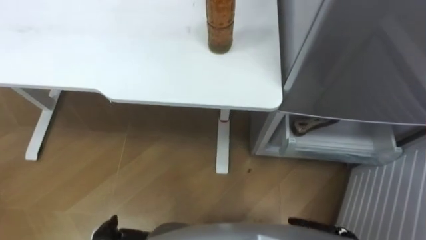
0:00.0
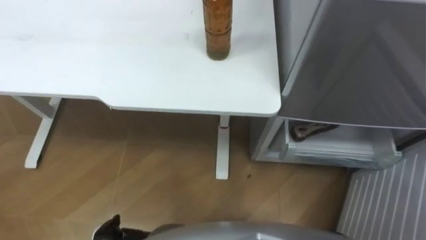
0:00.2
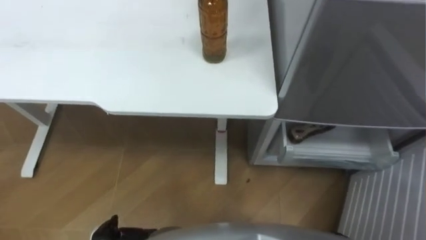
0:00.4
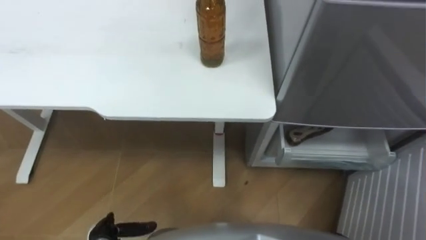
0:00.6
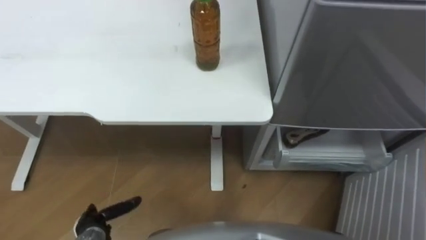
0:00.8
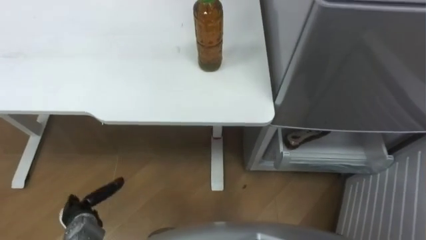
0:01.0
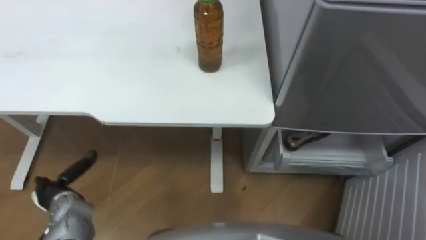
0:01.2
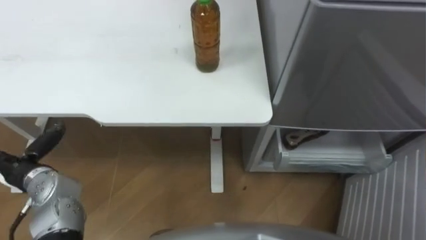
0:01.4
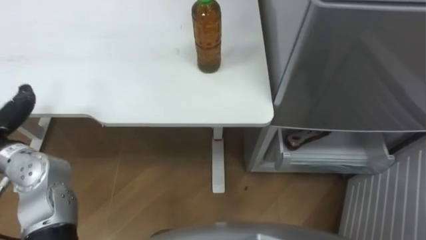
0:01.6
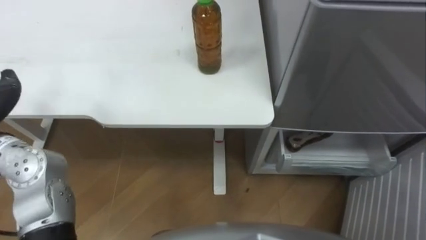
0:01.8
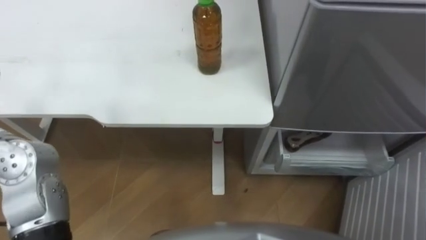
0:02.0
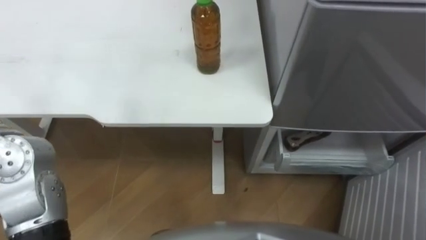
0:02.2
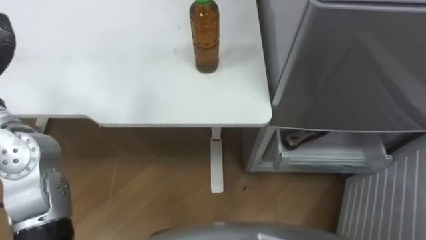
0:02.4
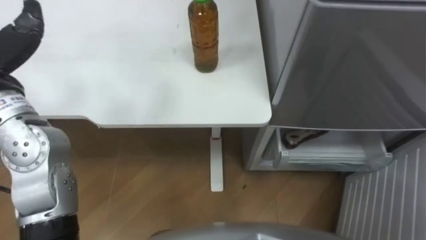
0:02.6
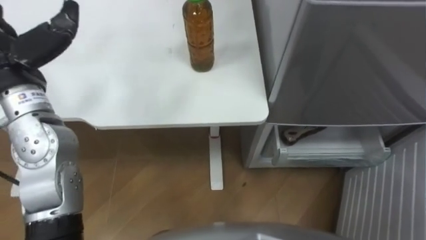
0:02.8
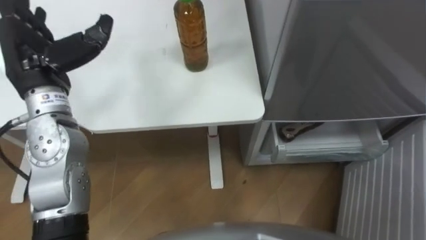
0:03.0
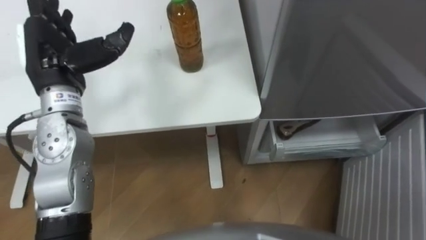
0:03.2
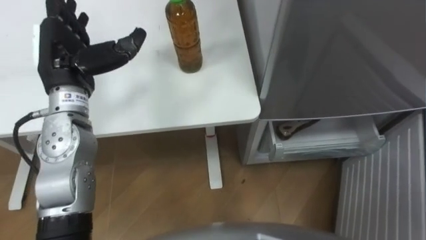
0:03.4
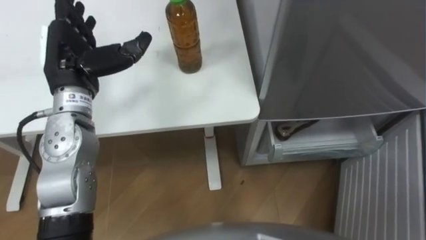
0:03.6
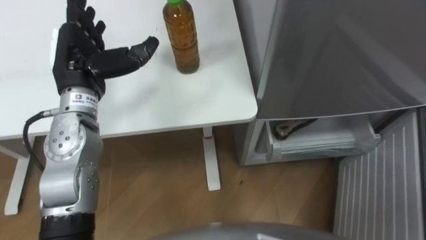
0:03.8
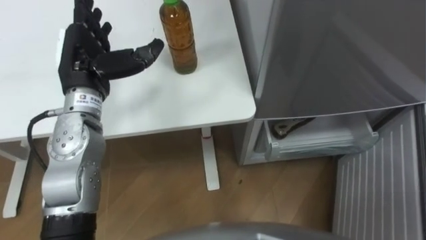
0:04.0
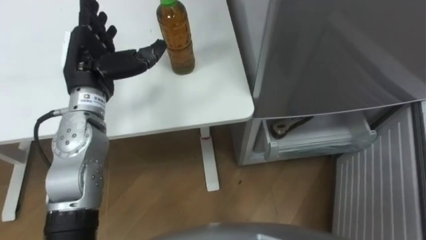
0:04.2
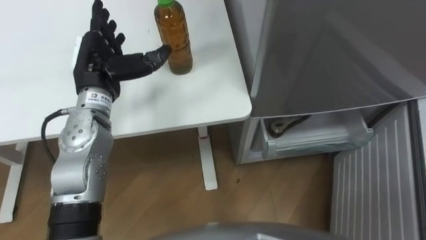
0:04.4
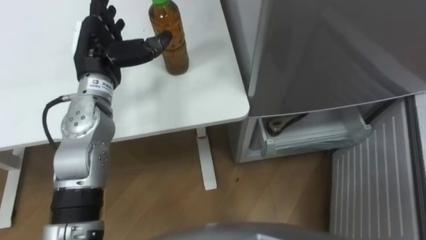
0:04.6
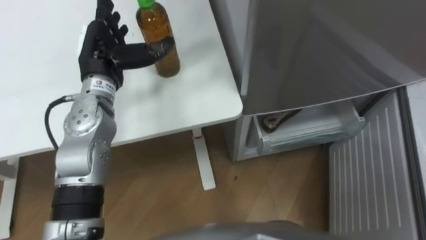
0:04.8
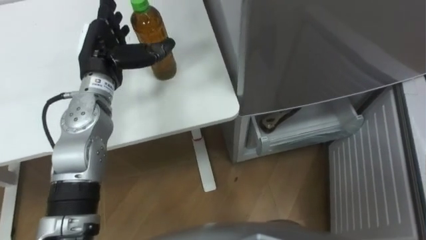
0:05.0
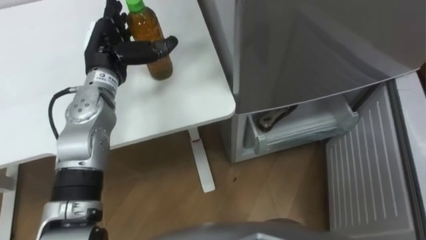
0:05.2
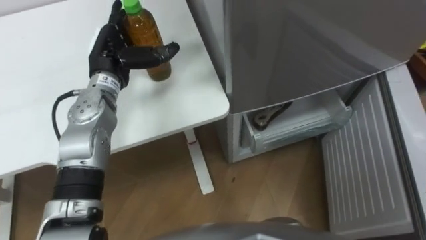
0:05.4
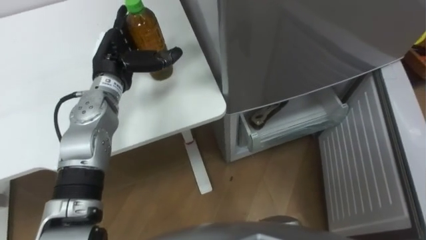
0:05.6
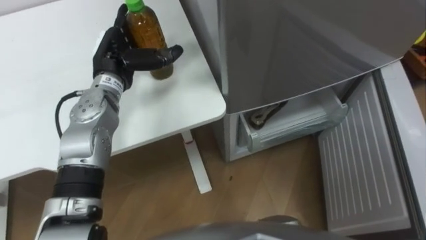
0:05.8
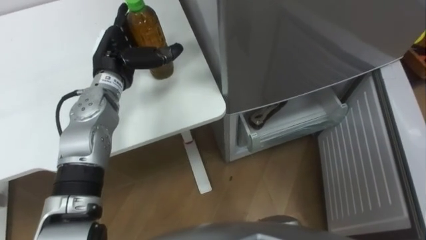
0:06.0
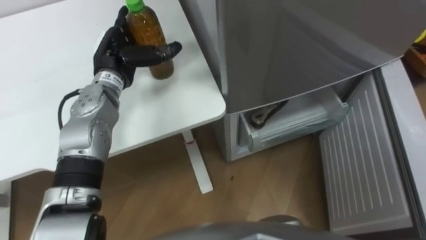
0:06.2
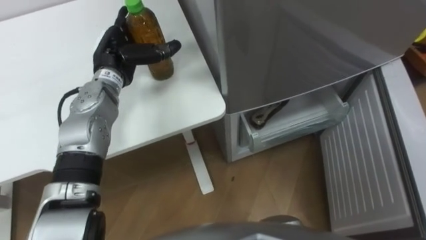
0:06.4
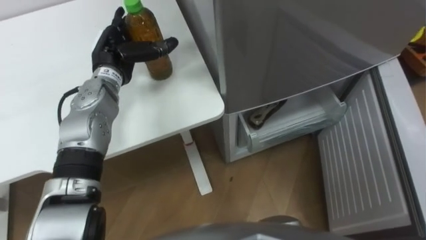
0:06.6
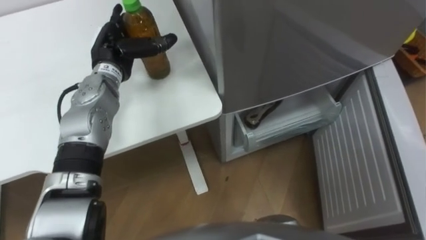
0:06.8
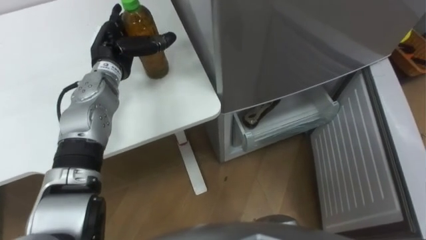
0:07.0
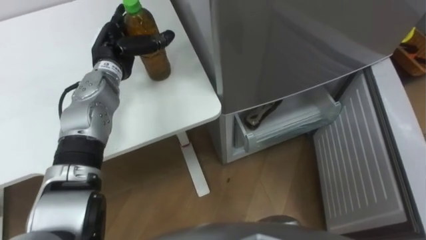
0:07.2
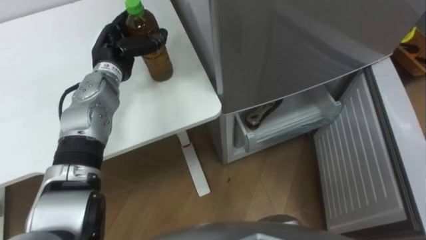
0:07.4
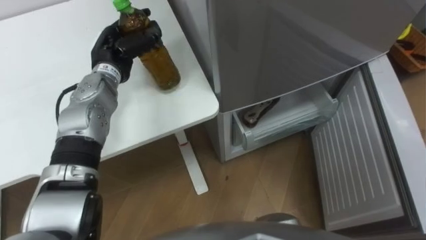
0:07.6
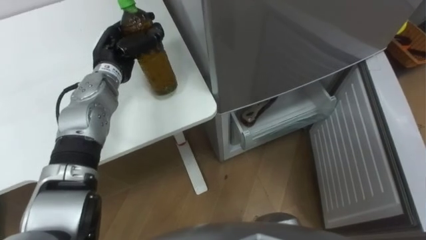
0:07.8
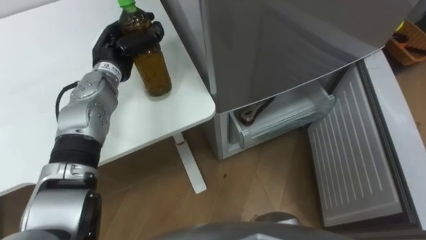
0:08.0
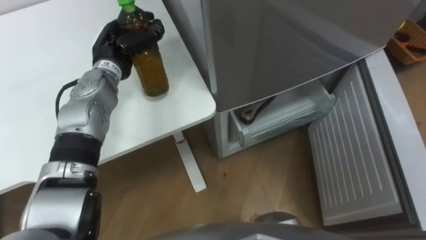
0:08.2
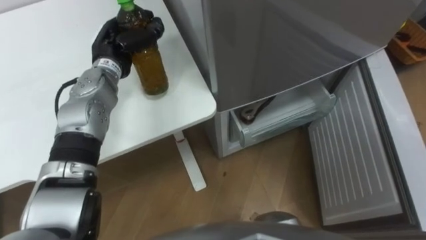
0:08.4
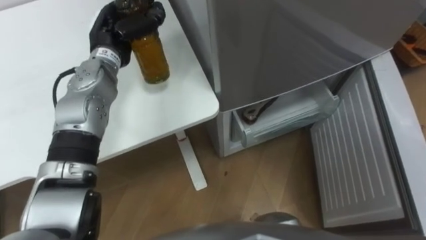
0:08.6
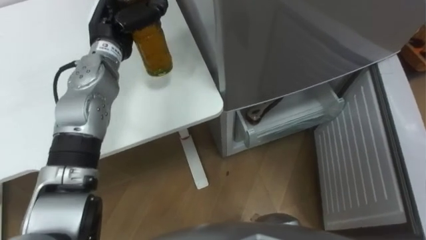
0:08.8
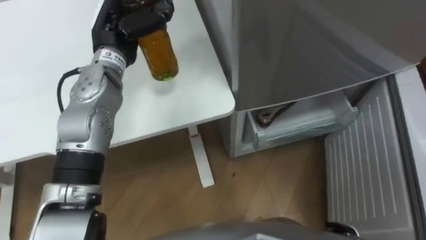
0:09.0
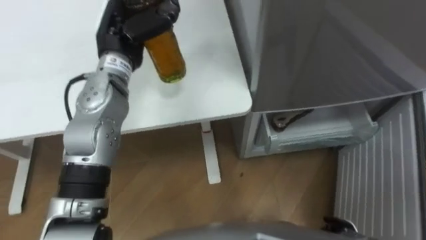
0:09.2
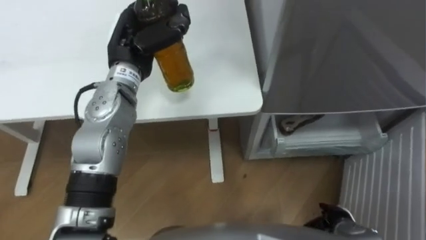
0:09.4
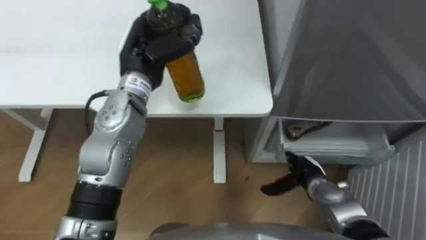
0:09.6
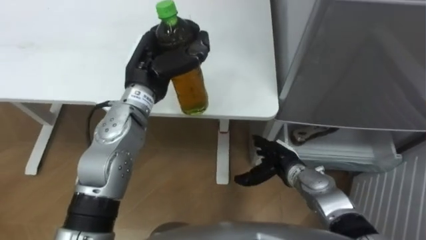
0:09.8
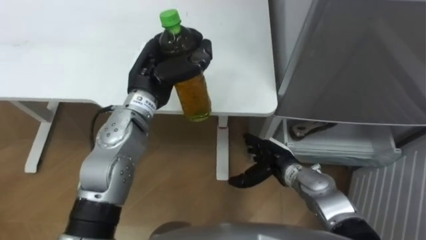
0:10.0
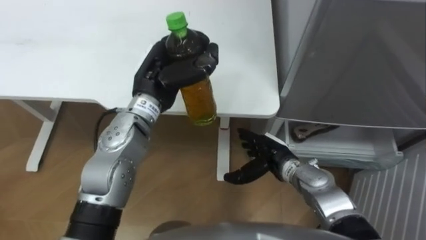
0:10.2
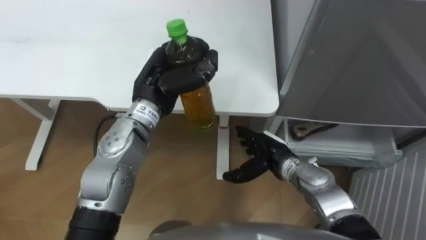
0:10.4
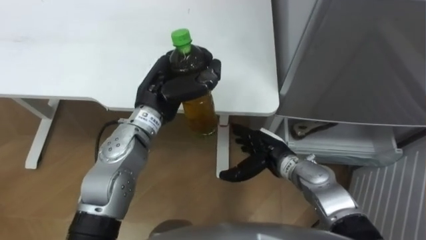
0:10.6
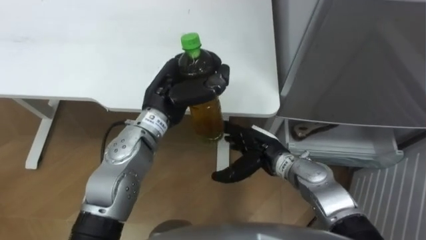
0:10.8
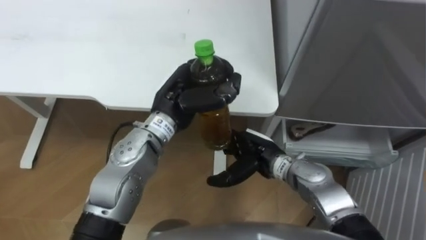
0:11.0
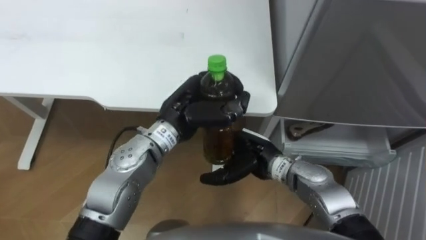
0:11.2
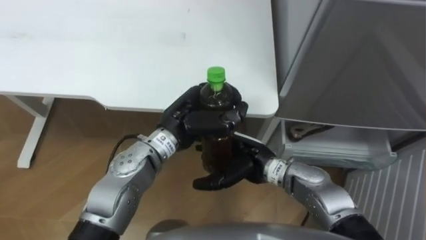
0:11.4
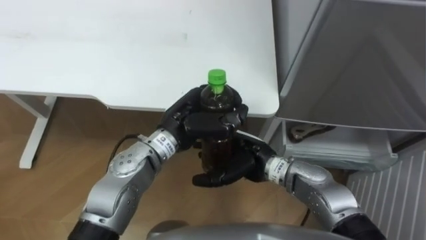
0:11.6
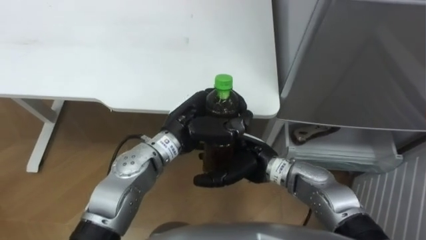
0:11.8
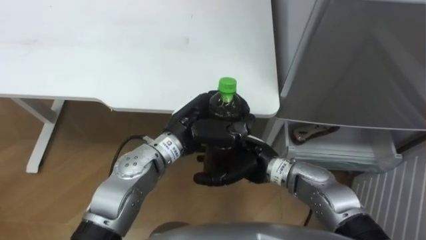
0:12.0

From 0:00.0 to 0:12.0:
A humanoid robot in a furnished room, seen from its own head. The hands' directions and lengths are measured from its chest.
Task of the whole recording: Place the drink on the table on the bottom shelf of the refrigerator, then close the drawer and the refrigerator door.
From 0:03.0 to 0:04.4: The left hand travels to the right and downward by about 10 cm.
From 0:04.4 to 0:06.0: The left hand moves roughly 5 cm.
From 0:06.0 to 0:07.6: The left hand closes its fingers.
From 0:07.6 to 0:09.0: The left hand heads upward, covering roughly 5 cm.
From 0:09.0 to 0:10.4: The left hand heads backward and to the right, covering approximately 10 cm.
From 0:10.4 to 0:12.0: The right hand travels to the left and upward by approximately 10 cm. The left hand travels to the right and backward by approximately 10 cm.

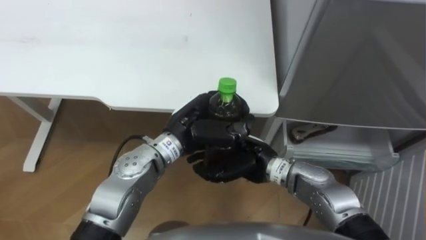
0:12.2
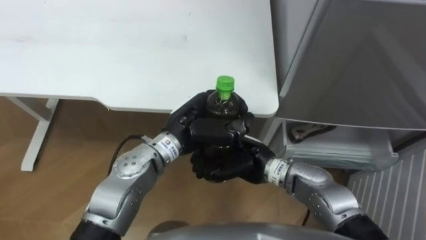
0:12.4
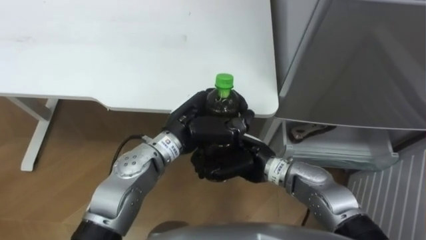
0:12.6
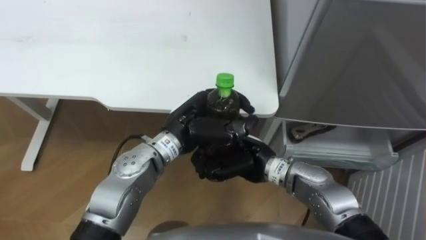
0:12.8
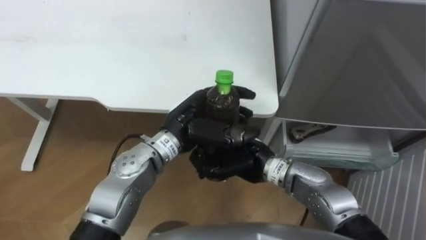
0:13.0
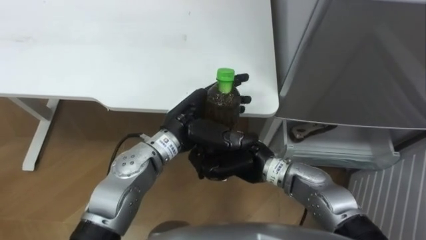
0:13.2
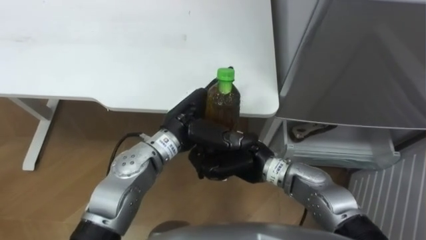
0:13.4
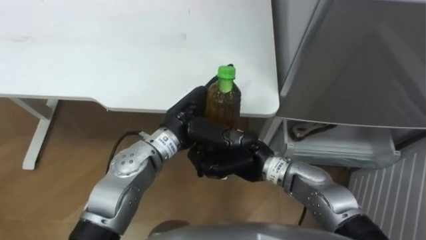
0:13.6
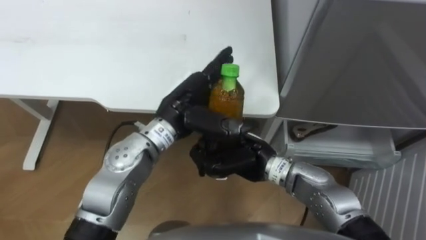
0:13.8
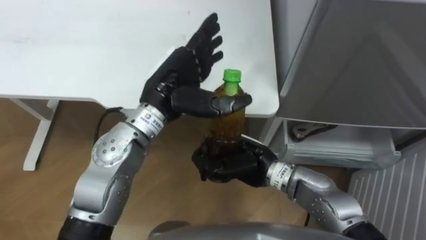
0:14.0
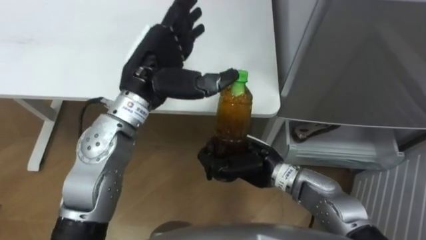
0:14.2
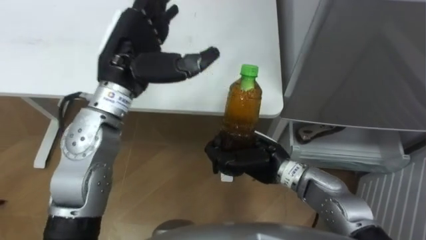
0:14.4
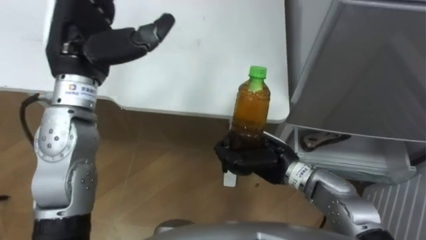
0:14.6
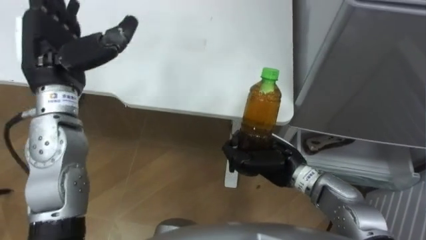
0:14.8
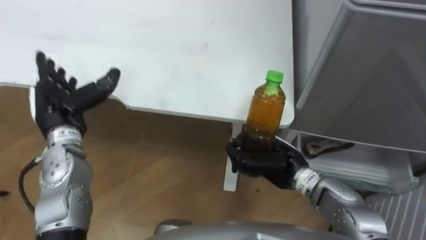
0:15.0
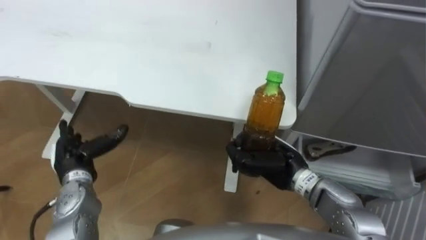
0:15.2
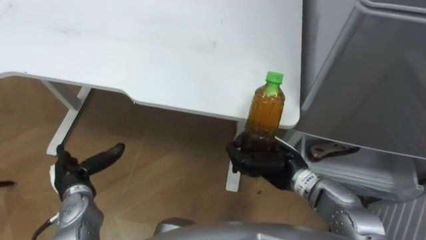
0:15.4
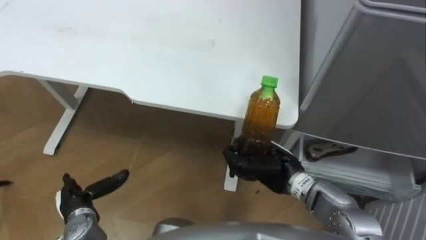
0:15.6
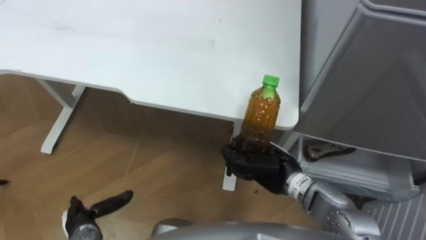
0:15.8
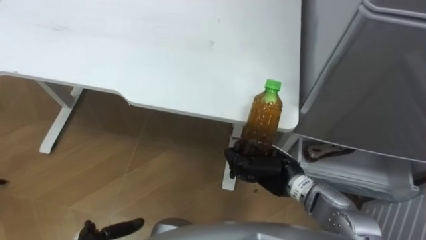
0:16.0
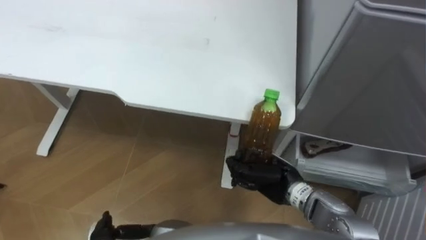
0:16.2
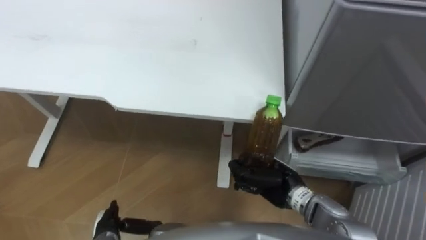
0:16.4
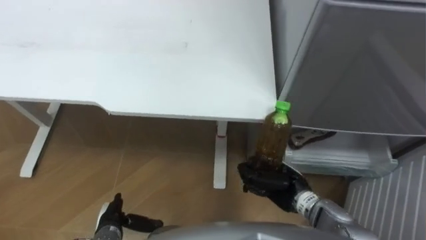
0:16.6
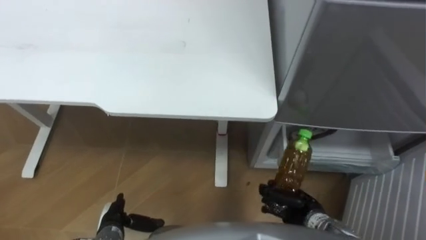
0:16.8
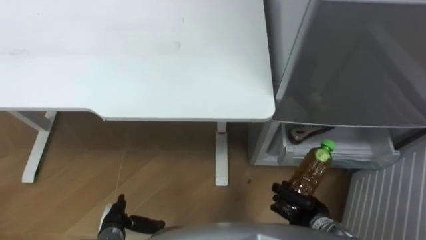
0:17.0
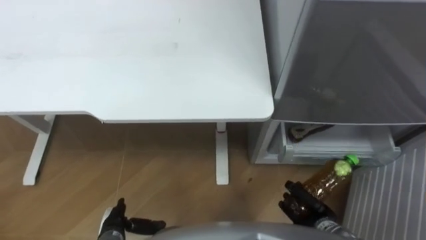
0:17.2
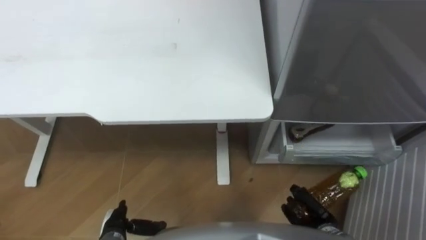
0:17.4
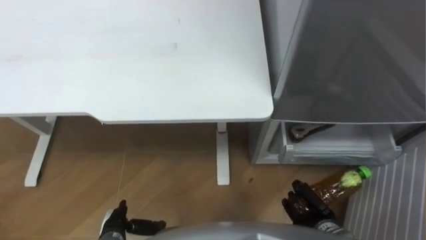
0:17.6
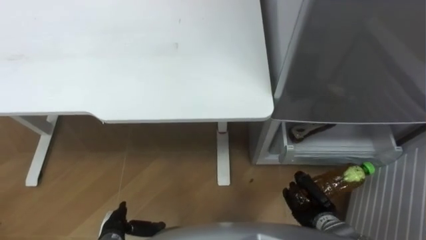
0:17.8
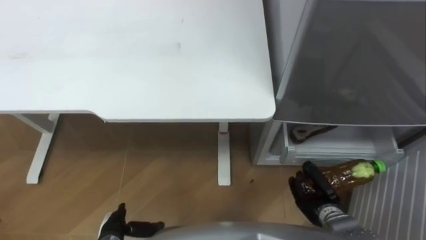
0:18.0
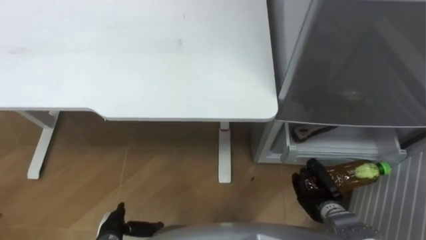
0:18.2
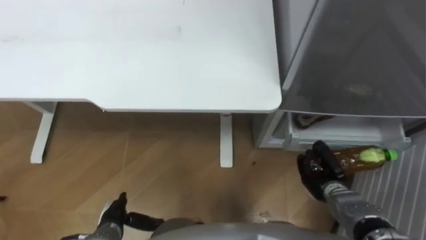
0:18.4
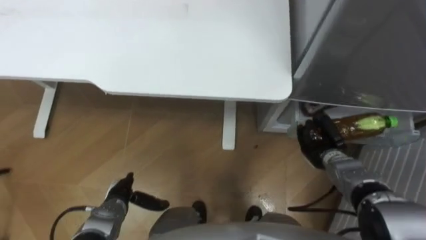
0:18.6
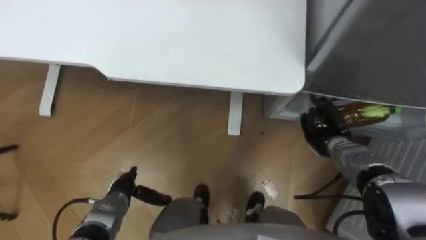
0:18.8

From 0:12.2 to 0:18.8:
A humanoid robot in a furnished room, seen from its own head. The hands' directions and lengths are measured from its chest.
Task of the whole recording: Place the drink on the table on the bottom shelf of the refrigerator, then close the drawer and the refrigerator door.
From 0:12.2 to 0:13.8: The left hand opens up. Meanwhile the right hand closes its fingers.
From 0:13.8 to 0:15.4: The left hand goes some 30 cm to the left, downward and backward. The right hand is displaced to the right by about 5 cm.
From 0:15.4 to 0:17.2: The right hand shifts some 20 cm downward, backward and to the right.
From 0:17.2 to 0:18.8: The right hand goes roughly 15 cm forward, while the left hand heads forward, covering roughly 10 cm.
